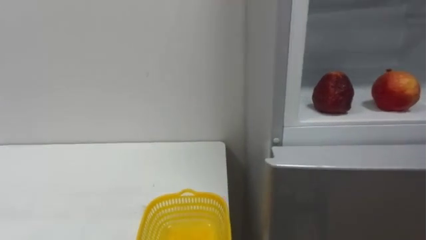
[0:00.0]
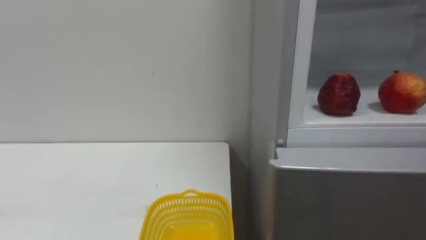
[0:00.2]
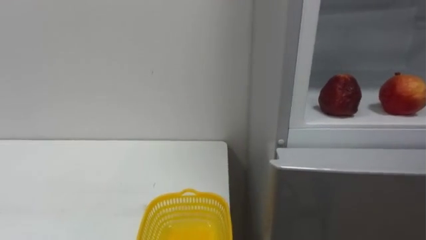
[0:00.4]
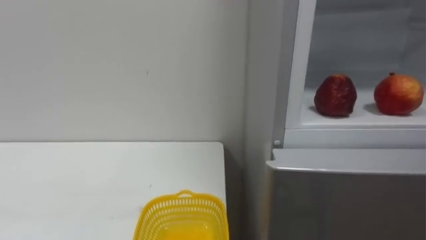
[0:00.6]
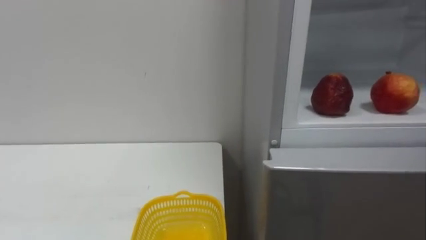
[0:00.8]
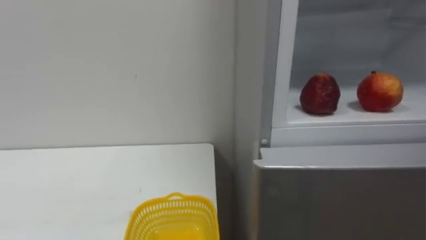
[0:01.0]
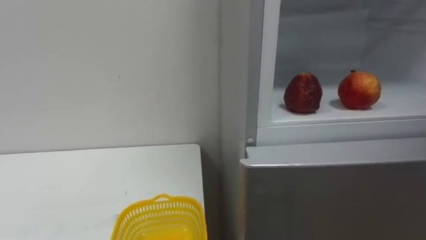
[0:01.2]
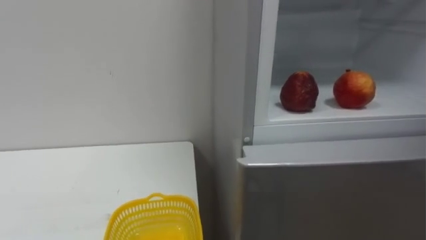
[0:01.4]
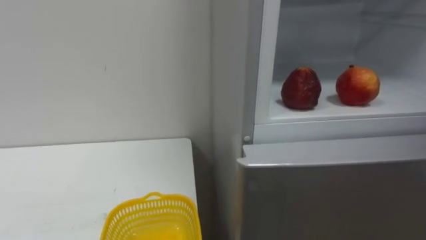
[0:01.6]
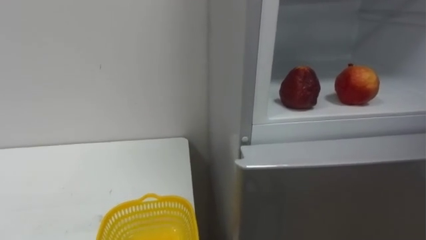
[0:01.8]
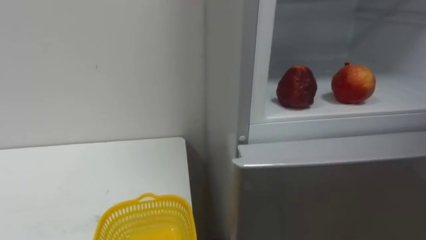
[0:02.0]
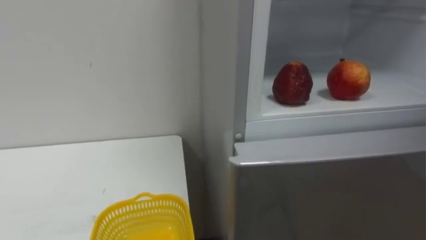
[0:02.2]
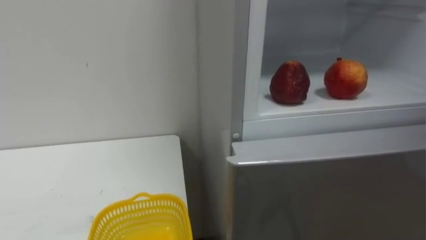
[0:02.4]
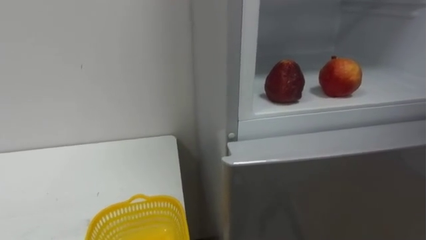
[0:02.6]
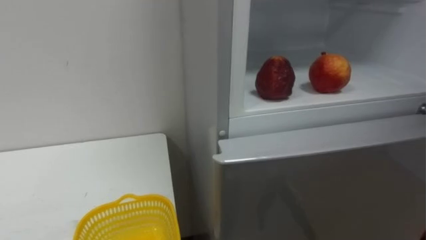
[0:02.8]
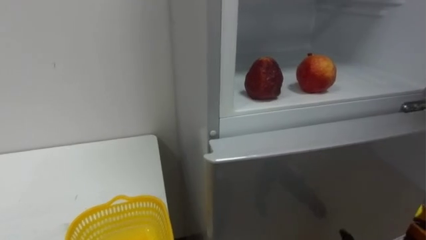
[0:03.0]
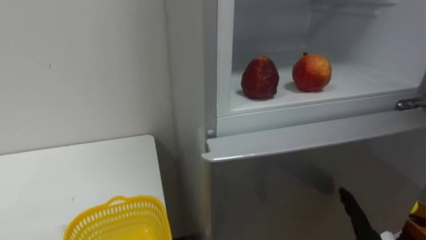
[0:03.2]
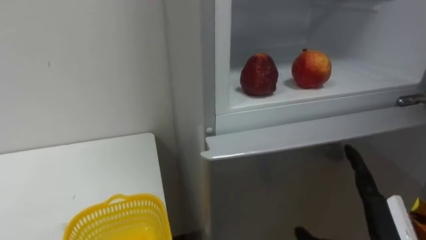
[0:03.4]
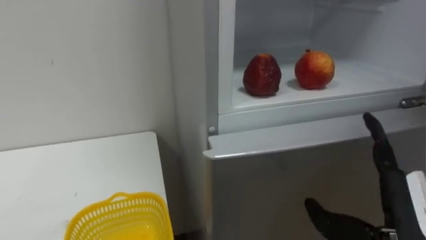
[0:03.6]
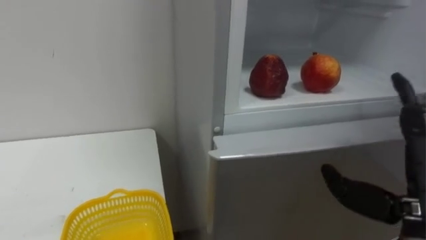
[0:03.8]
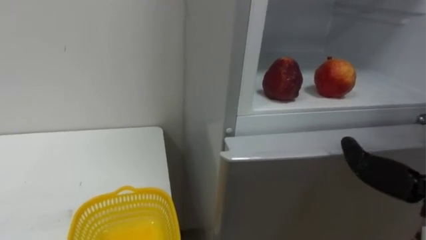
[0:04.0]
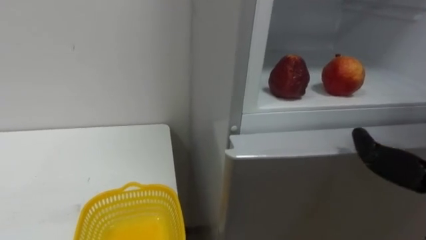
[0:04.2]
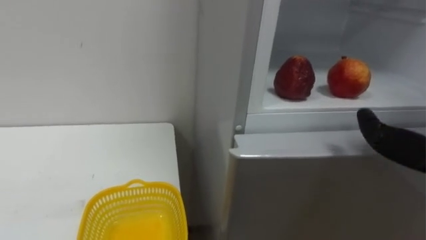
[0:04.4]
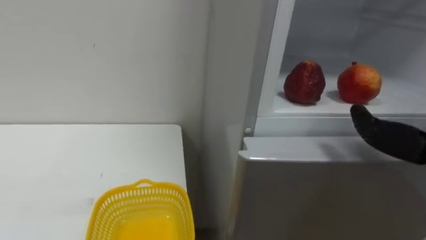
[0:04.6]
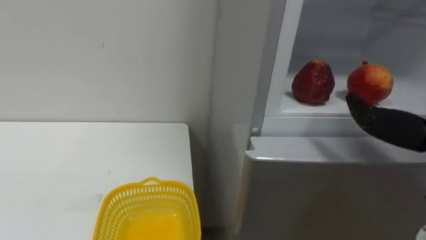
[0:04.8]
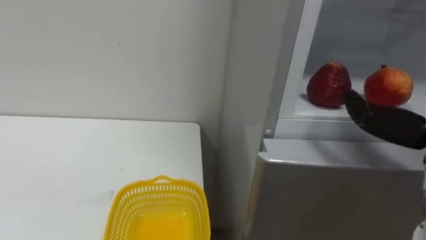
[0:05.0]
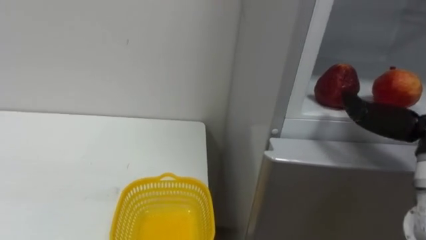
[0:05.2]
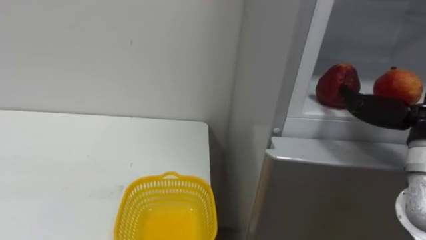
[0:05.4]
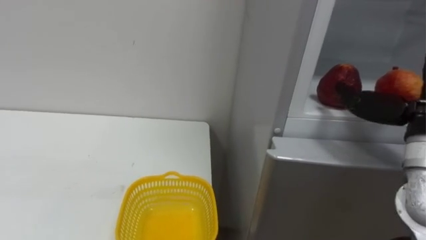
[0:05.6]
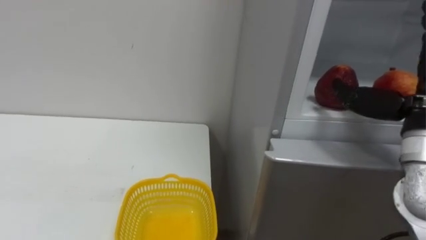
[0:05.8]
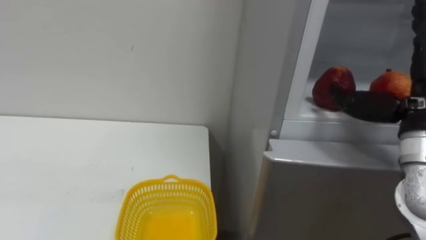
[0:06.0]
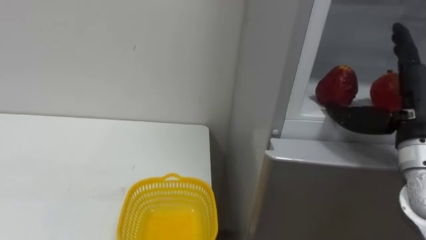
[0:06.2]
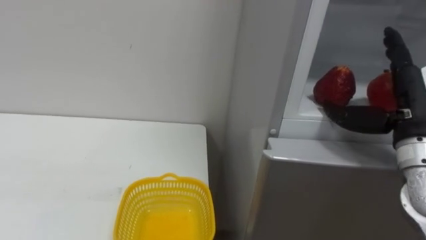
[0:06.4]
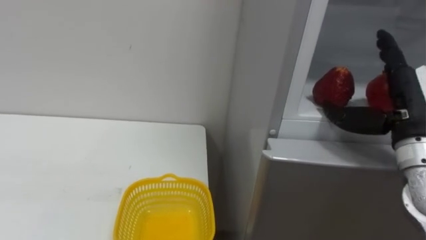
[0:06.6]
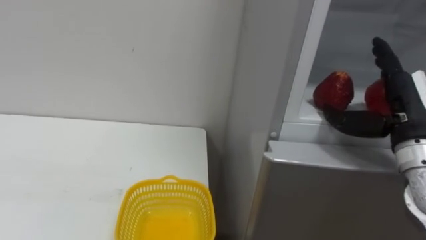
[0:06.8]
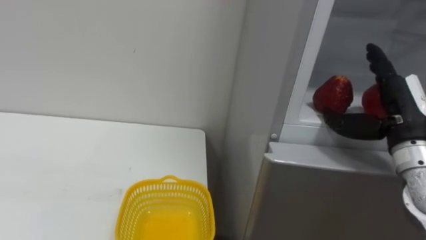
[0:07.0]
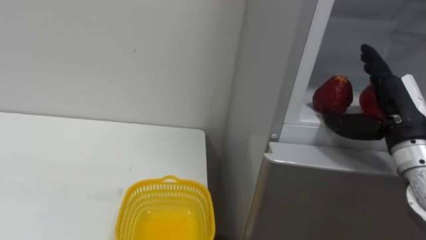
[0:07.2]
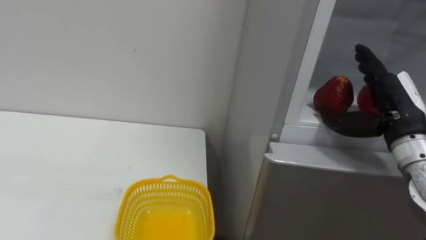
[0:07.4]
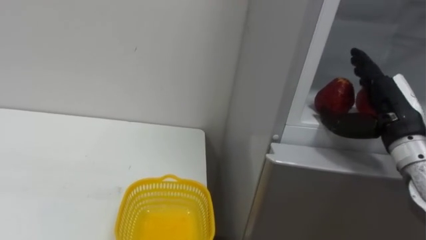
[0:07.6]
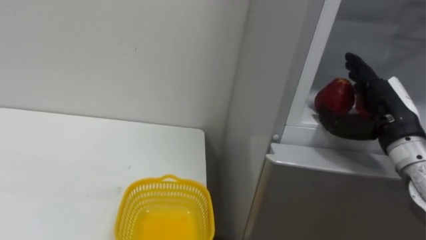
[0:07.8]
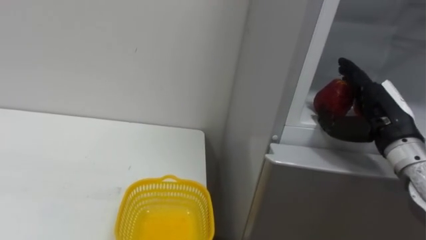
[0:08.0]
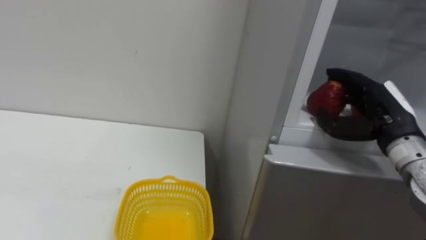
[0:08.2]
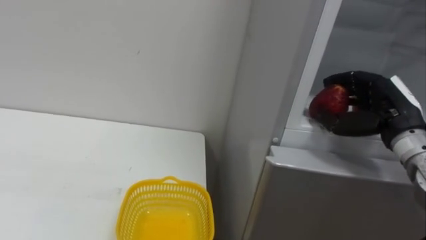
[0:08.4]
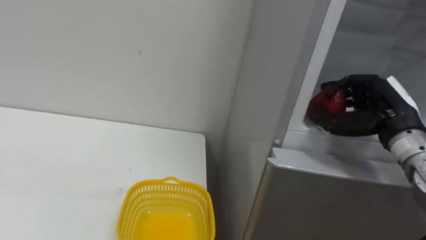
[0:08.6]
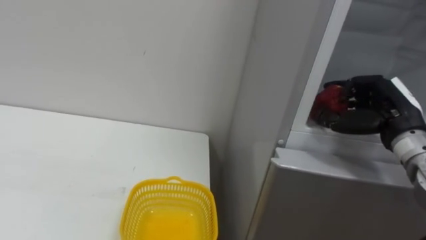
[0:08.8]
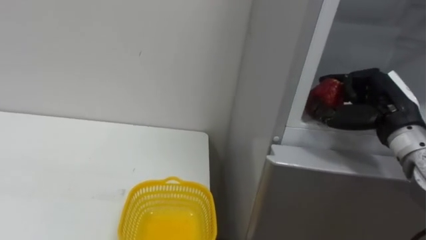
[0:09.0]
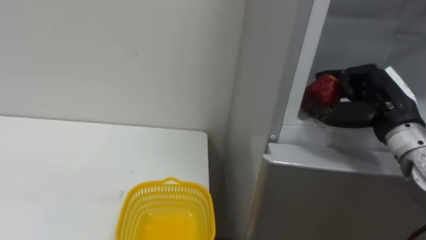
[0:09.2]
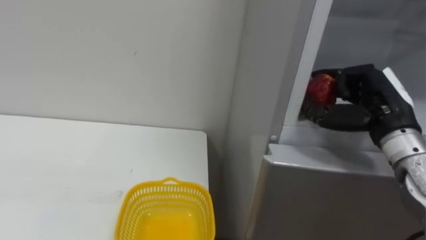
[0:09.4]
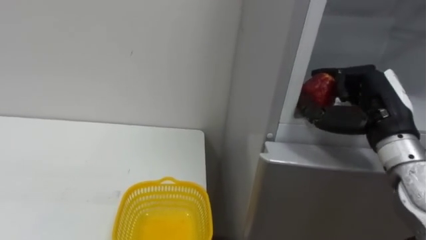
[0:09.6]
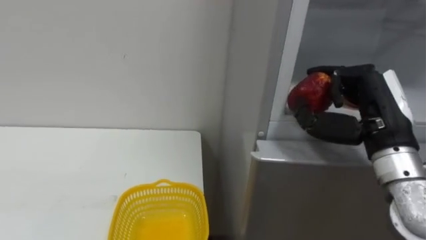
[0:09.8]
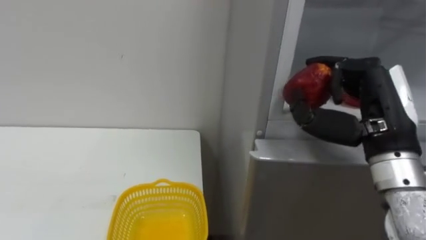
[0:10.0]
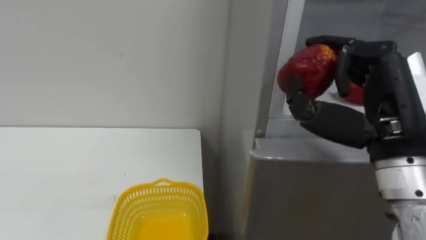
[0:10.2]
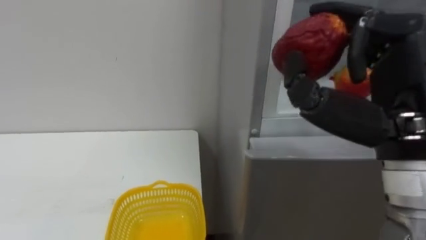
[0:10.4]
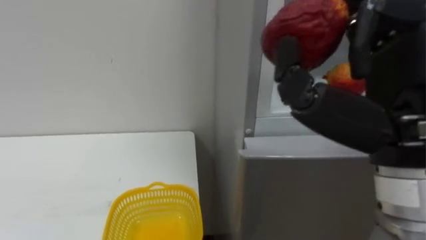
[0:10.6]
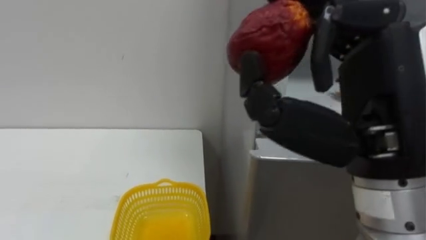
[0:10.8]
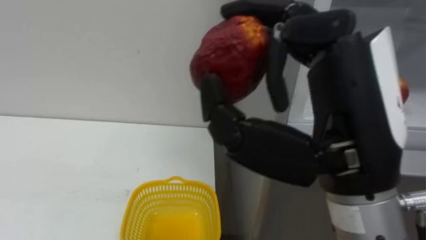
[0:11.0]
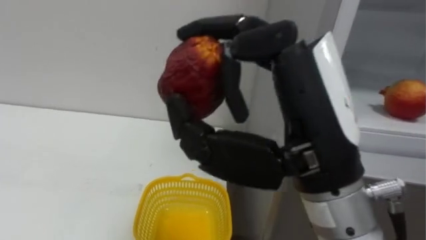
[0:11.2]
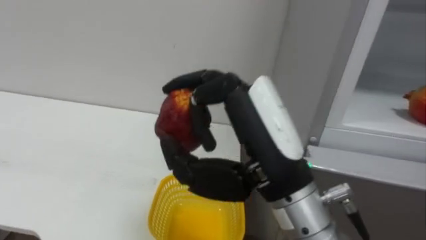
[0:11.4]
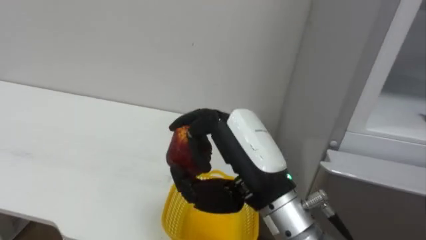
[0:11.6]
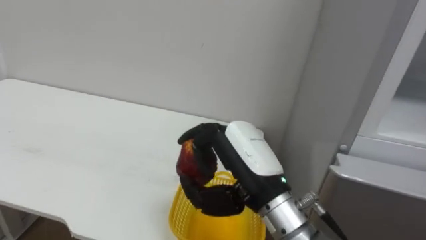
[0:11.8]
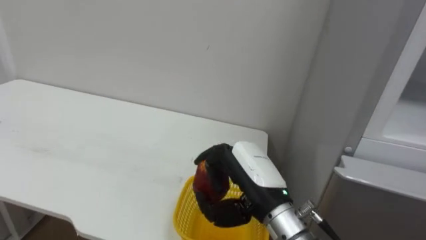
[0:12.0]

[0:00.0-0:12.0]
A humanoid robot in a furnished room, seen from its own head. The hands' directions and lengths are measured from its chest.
Task of the whole recording: Open the refrigerator door, take out the apple and the pomegranate, place them in the fruit basket on the left, and close the refrigerator door.
0:06.0 to 0:07.6: The right hand travels downward and forward by approximately 10 cm.
0:07.6 to 0:09.0: The right hand closes its fingers.
0:09.0 to 0:10.4: The right hand is displaced backward, upward and to the left by roughly 20 cm.
0:10.4 to 0:12.0: The right hand moves downward, to the left and forward, roughly 20 cm.

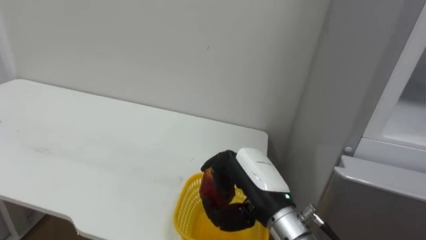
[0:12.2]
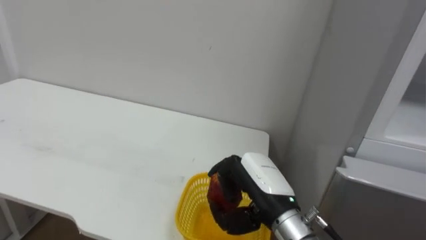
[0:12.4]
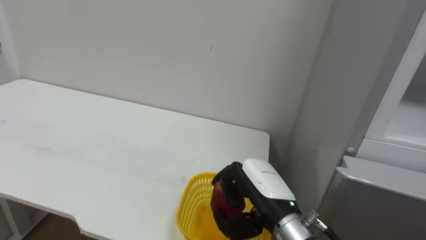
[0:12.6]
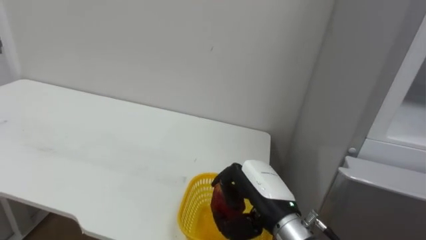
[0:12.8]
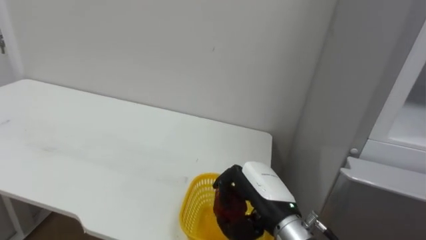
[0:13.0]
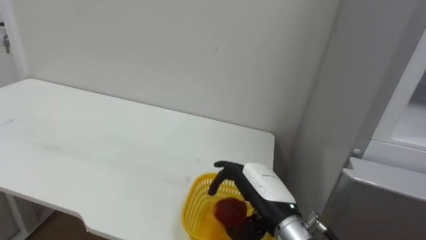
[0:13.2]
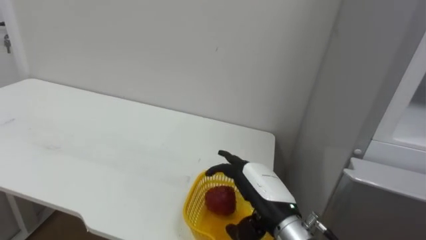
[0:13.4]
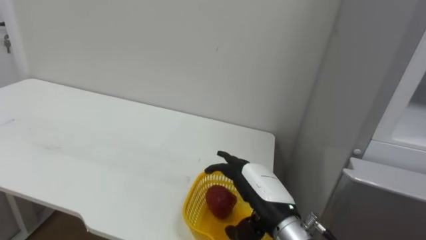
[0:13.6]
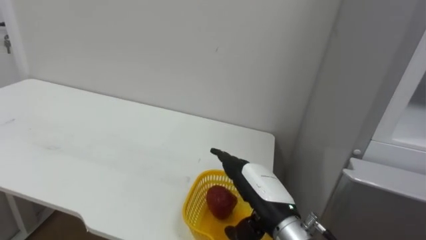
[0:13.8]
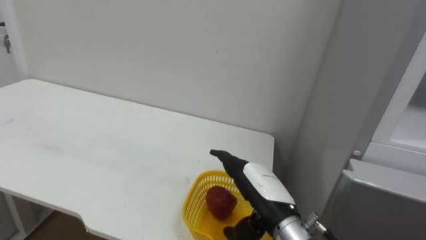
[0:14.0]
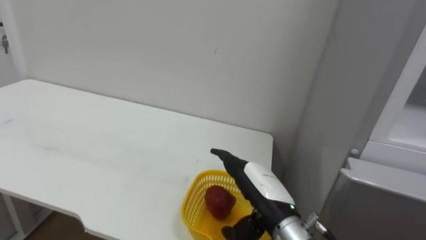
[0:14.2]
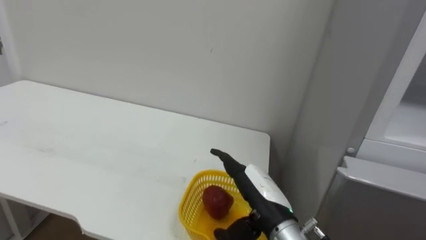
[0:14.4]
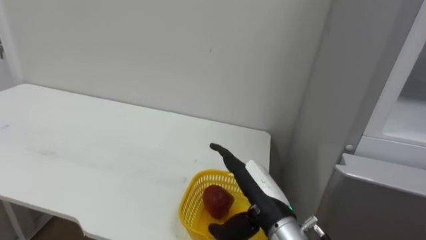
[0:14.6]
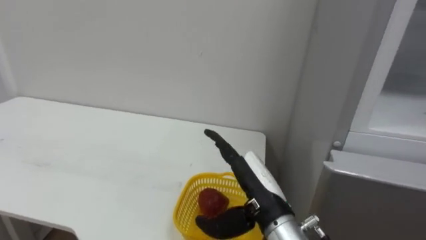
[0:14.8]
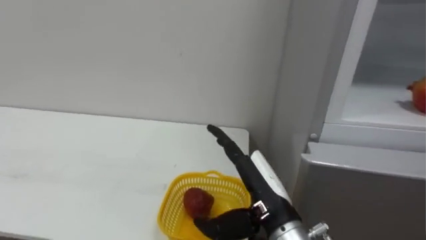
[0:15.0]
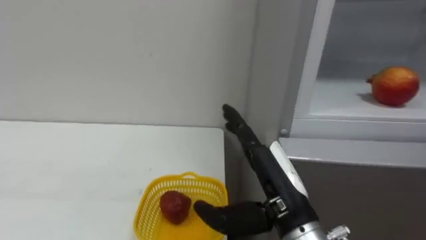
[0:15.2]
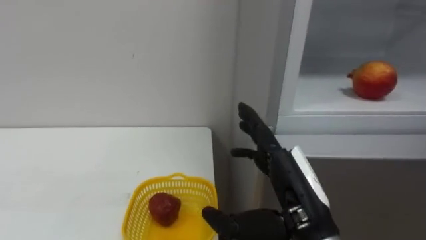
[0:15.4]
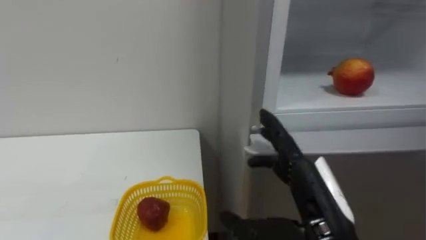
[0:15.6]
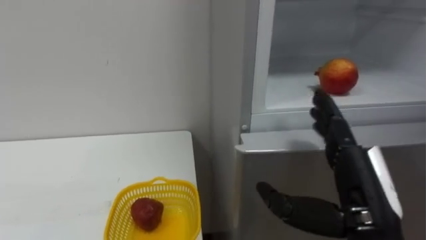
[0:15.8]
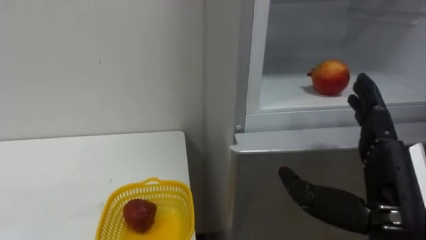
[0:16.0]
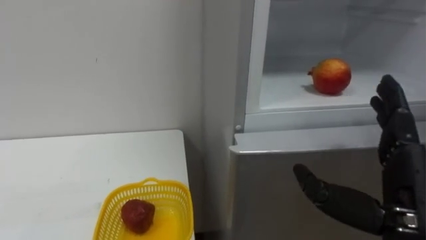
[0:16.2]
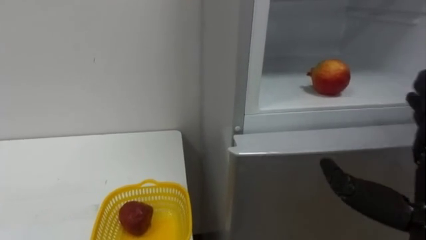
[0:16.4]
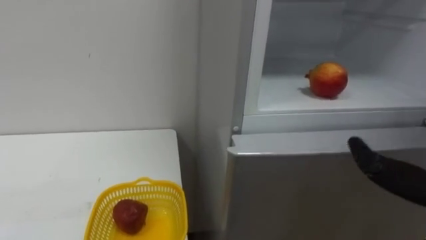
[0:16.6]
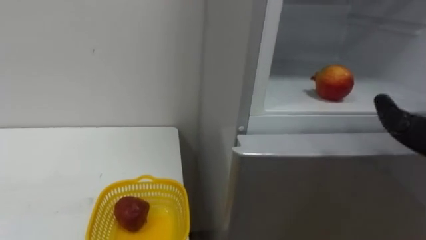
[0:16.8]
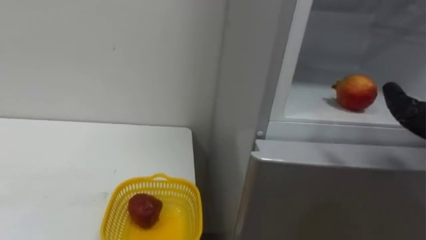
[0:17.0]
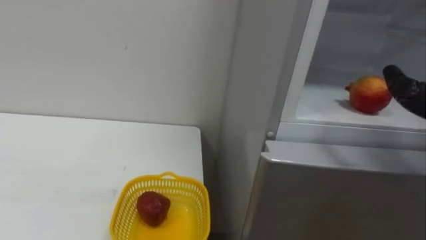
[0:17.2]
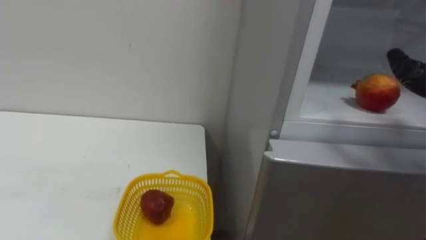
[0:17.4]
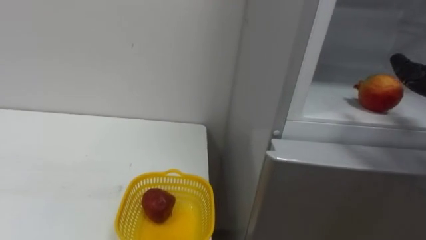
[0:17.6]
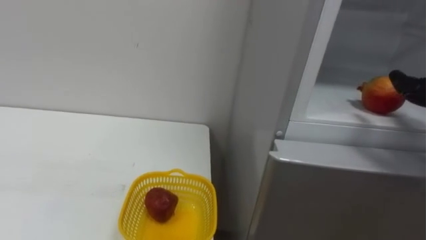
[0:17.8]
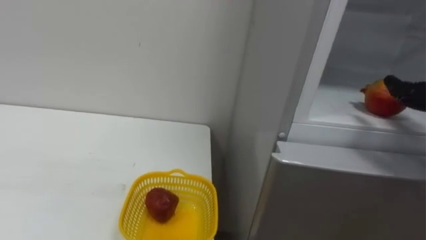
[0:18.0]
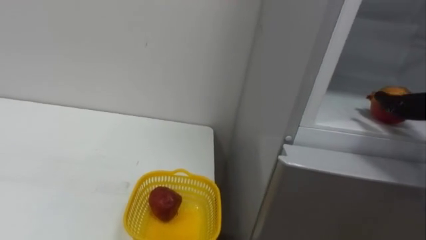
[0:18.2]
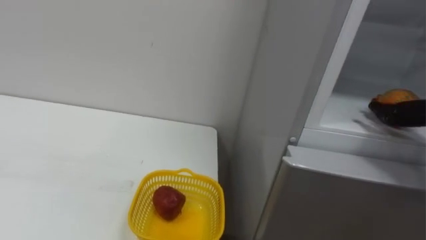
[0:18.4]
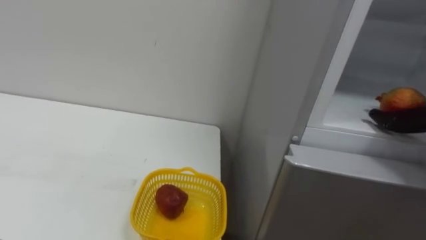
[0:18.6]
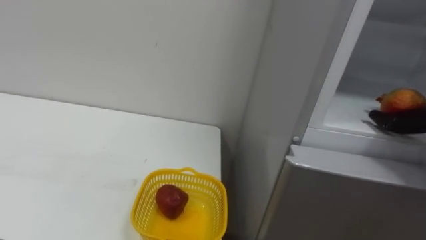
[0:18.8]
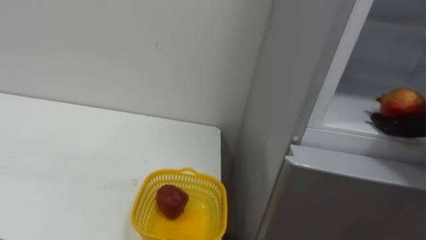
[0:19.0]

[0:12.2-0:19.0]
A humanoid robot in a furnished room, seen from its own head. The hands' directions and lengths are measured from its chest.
Task of the whole recording: Open the refrigerator door, take out the apple and the pomegranate, place them in the fruit basket on the left, and close the refrigerator door.
0:12.2 to 0:13.6: The right hand opens its fingers.
0:15.0 to 0:16.2: The right hand travels to the right, backward and upward by approximately 20 cm.
